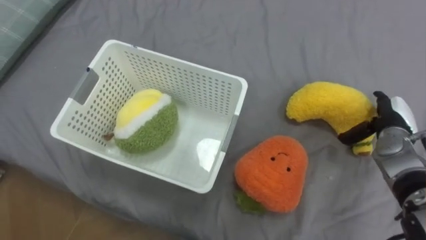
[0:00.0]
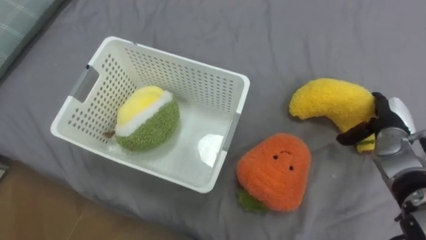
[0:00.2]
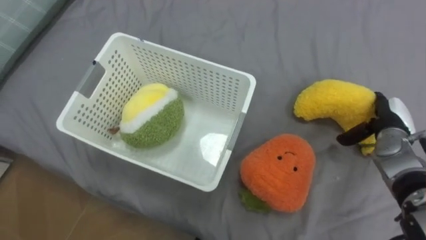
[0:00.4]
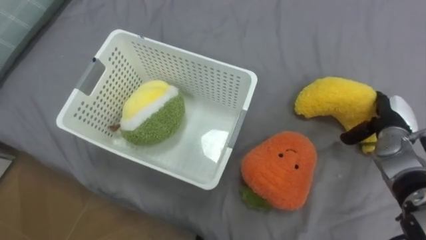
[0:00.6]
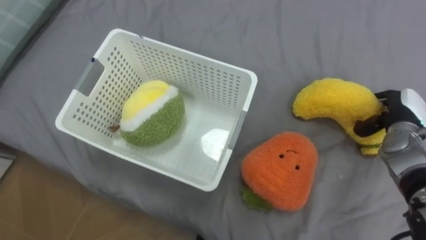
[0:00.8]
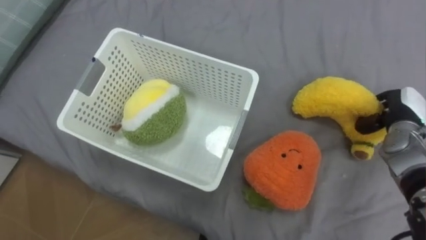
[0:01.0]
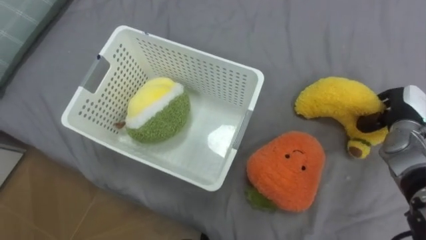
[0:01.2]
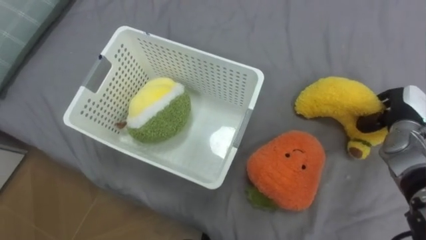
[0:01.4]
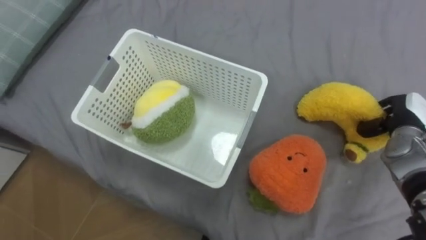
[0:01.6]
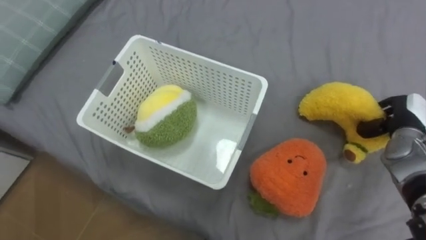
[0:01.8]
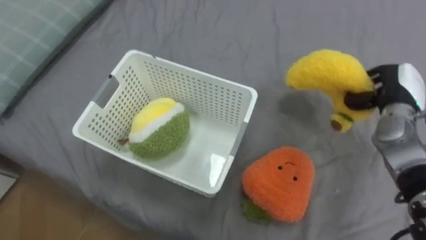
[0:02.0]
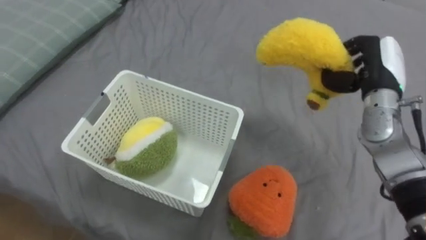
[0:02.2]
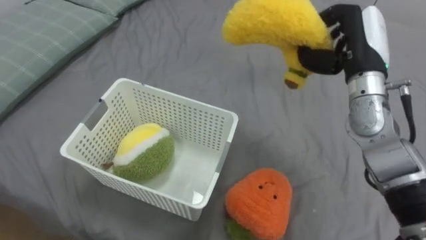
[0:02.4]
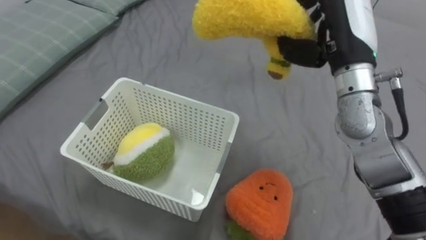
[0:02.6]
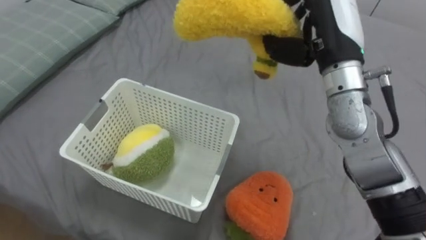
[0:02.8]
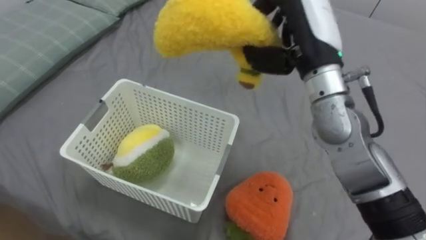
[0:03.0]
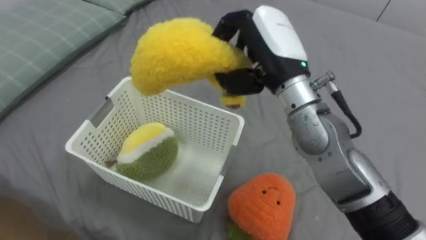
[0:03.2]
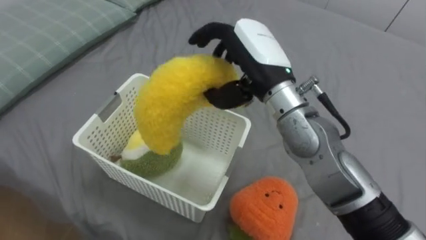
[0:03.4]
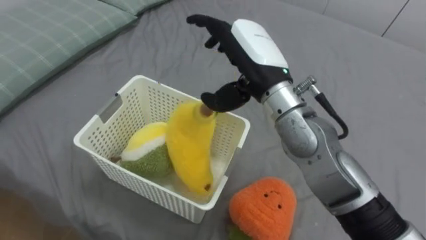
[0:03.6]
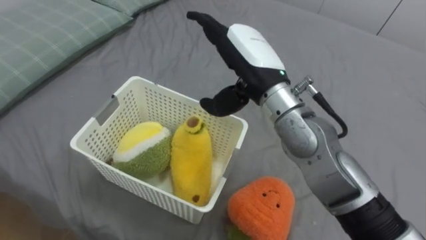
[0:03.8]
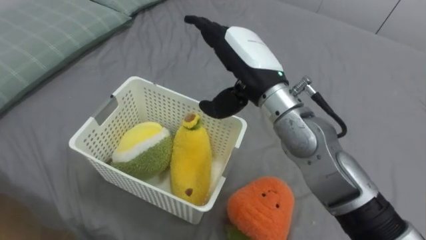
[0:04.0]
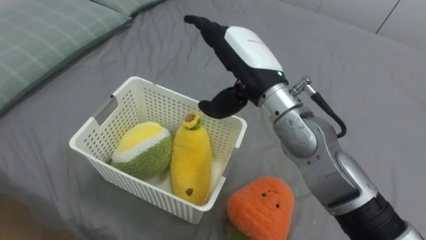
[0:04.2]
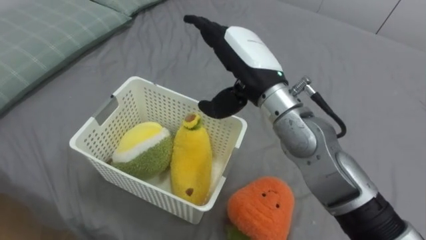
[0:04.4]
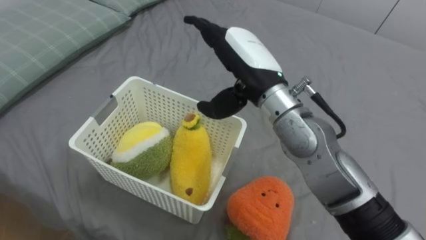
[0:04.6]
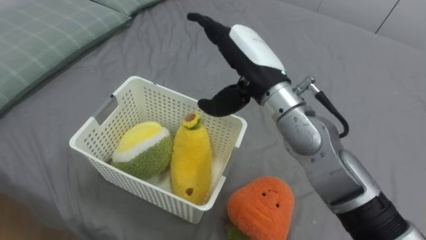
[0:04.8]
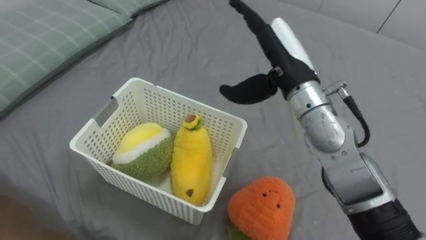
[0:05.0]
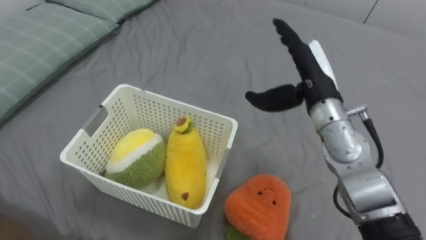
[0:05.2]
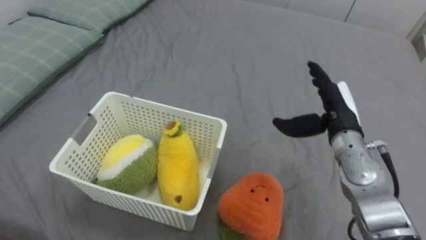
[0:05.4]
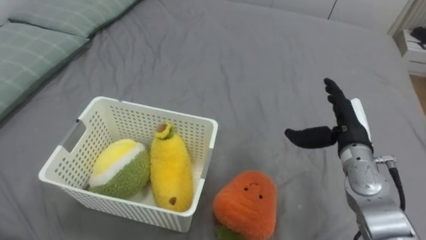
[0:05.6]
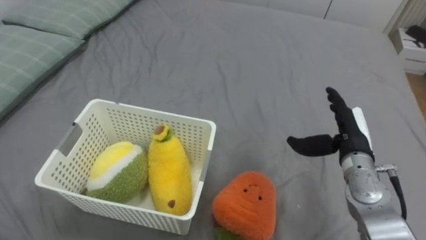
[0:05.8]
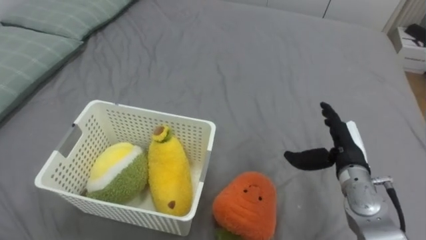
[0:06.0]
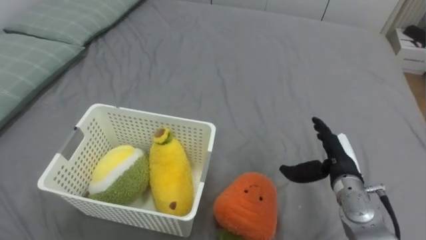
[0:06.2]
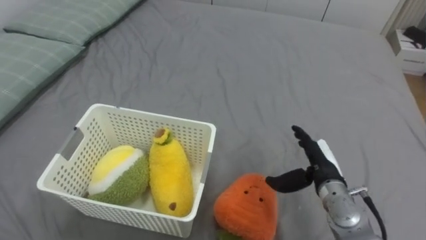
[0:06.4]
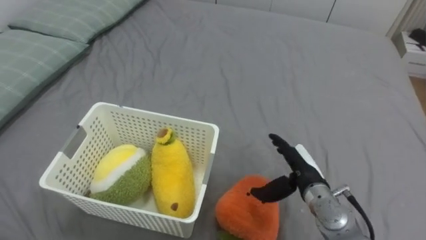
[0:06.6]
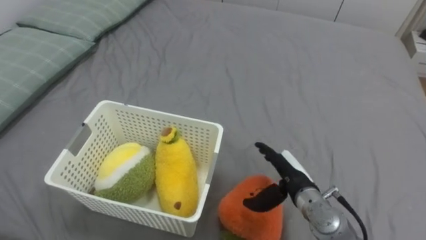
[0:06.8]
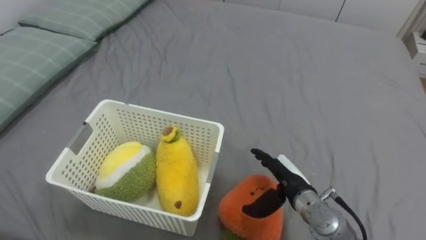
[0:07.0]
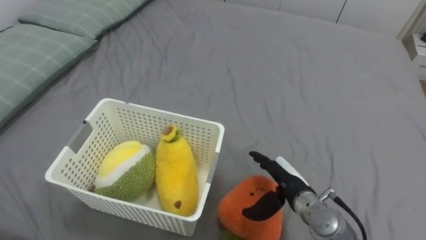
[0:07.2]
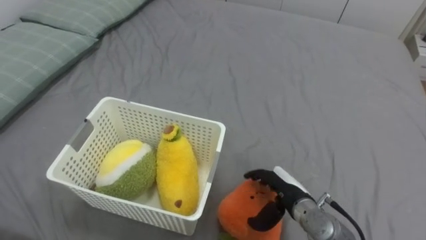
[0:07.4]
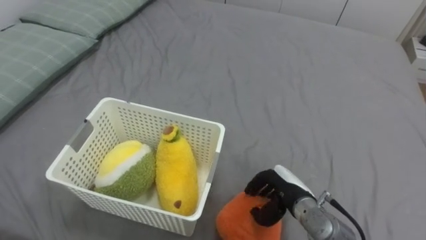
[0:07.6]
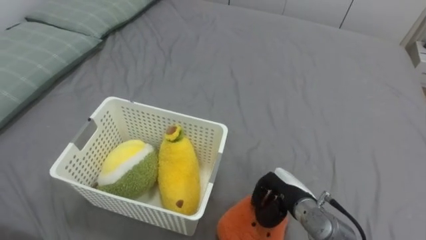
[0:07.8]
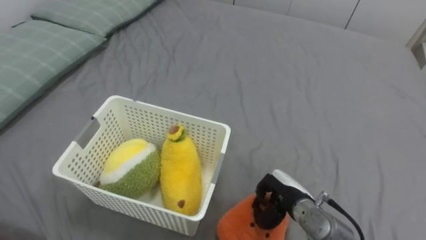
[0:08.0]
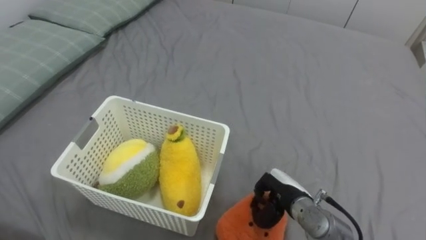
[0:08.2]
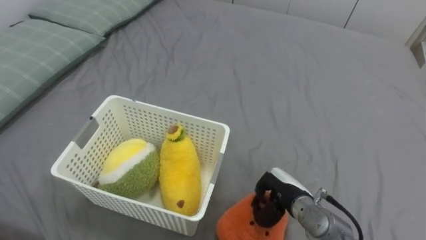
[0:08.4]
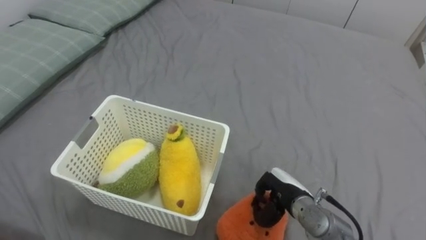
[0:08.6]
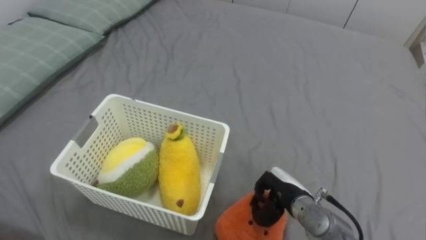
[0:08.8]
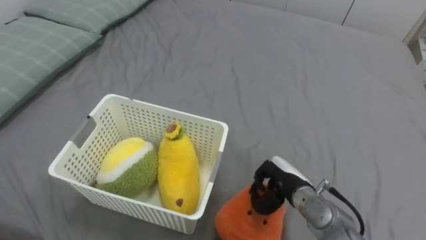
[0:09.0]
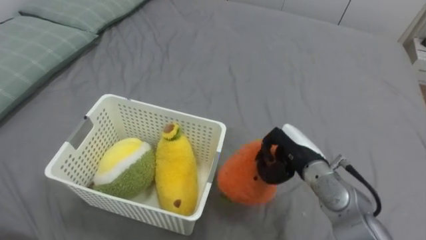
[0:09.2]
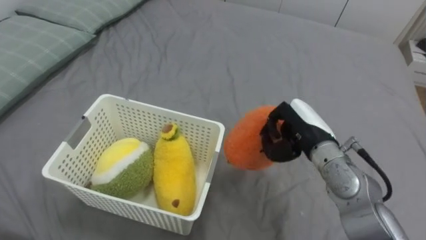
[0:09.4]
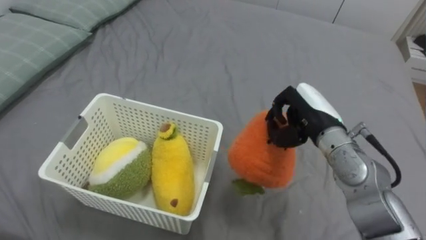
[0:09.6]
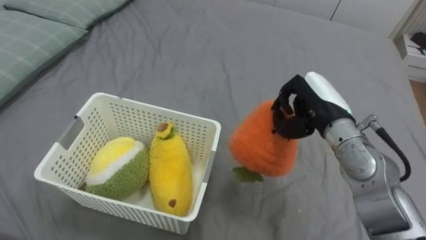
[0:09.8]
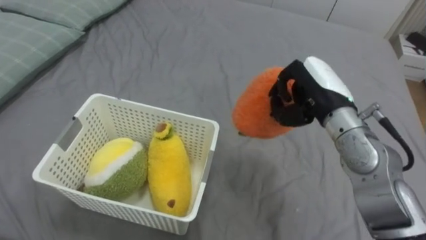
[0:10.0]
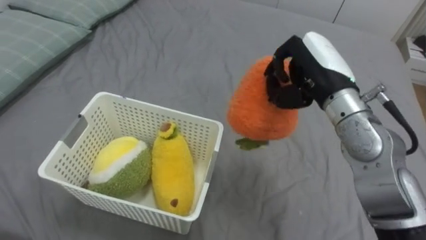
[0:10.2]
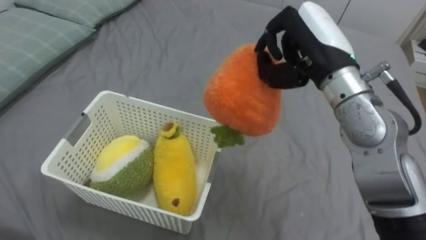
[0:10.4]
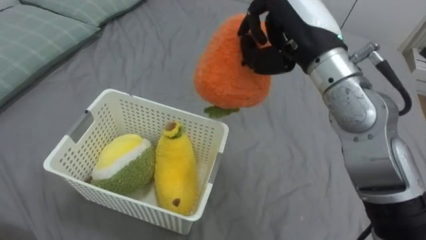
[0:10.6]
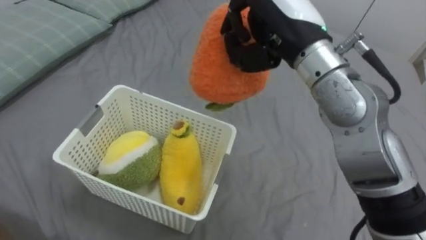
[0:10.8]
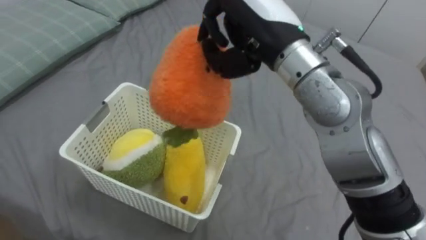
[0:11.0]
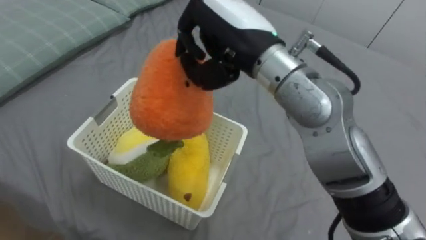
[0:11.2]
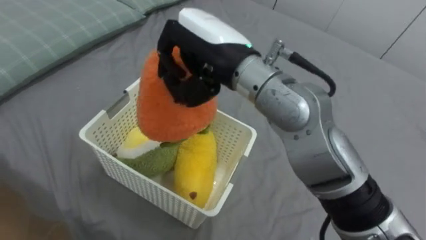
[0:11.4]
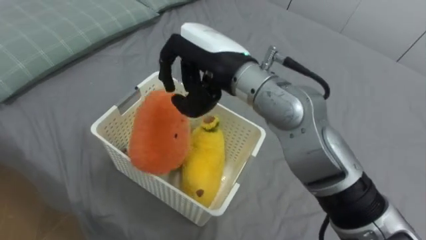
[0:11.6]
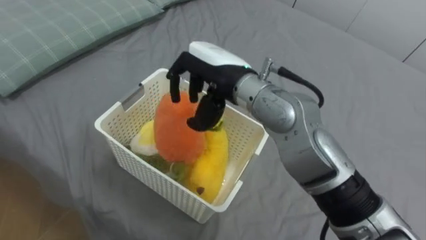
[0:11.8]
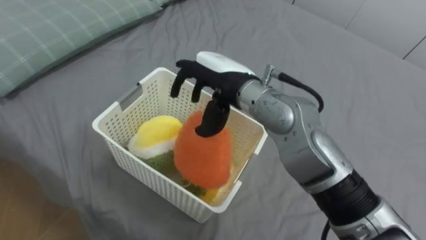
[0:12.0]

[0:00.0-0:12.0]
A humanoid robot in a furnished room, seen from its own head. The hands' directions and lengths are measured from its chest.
Task of the whole recording: Put the toys on the bed into the basket on the left.
0:00.0 to 0:01.6: The right hand closes.
0:01.6 to 0:03.0: The right hand moves to the left and upward, roughly 30 cm.
0:03.0 to 0:04.4: The right hand goes roughly 10 cm to the left, and opens its fingers.
0:04.4 to 0:06.0: The right hand shifts approximately 25 cm to the right and downward.
0:06.0 to 0:07.6: The right hand shifts approximately 15 cm to the left and downward, and closes.
0:07.6 to 0:09.0: The right hand closes up.
0:09.0 to 0:10.4: The right hand is displaced upward by about 30 cm.
0:10.4 to 0:12.0: The right hand travels to the left and downward by roughly 15 cm, and opens.

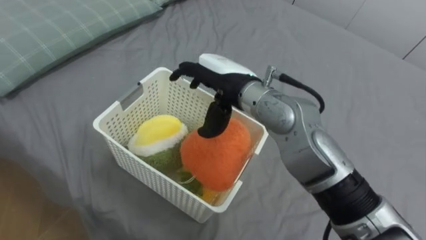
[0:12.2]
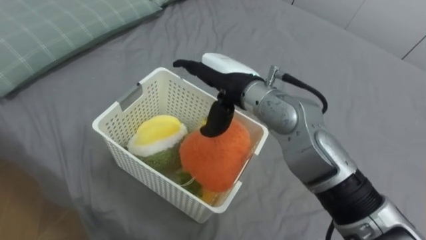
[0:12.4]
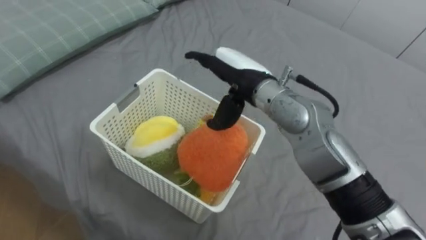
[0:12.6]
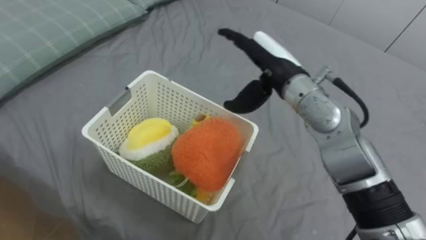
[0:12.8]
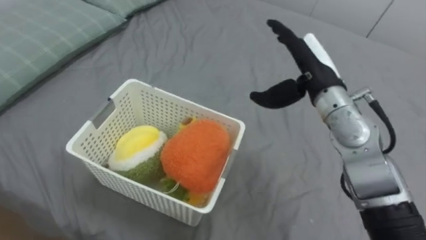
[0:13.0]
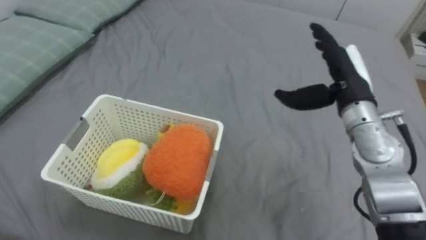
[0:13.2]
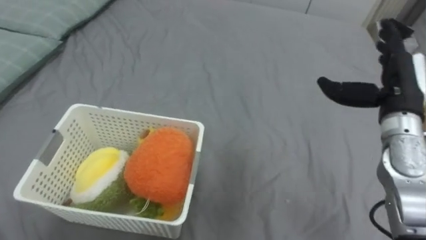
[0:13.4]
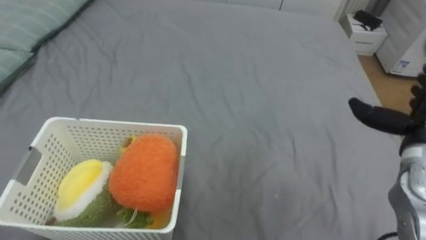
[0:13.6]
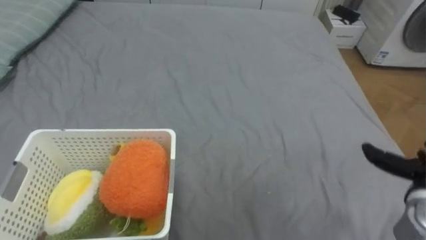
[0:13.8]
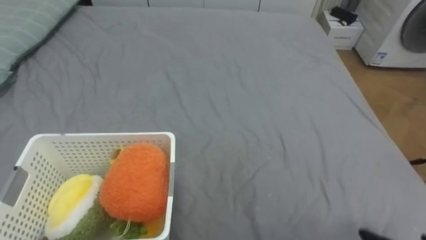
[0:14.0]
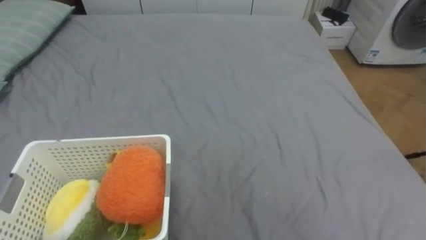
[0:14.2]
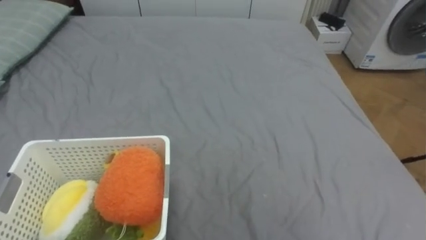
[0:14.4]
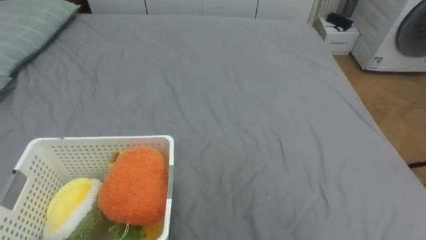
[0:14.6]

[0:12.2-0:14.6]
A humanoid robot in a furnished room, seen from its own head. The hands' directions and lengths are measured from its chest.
Task of the whole recording: Put the toys on the bed into the basket on the left.
0:12.2 to 0:13.4: The right hand travels to the right by about 30 cm.

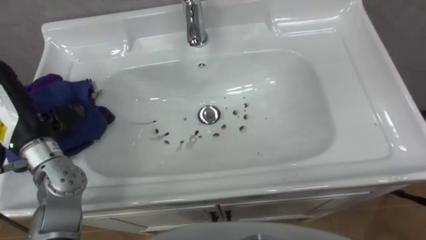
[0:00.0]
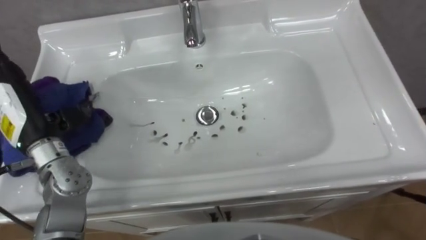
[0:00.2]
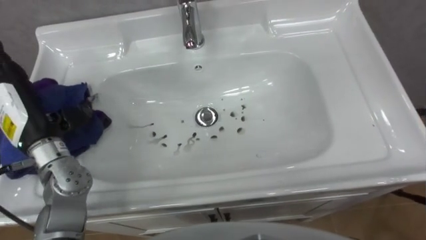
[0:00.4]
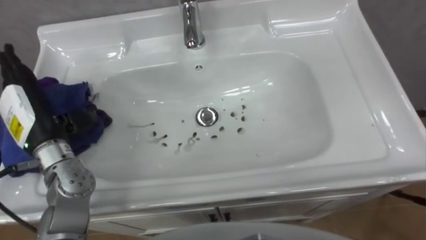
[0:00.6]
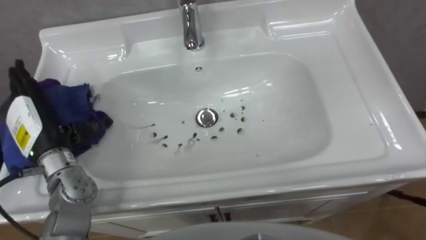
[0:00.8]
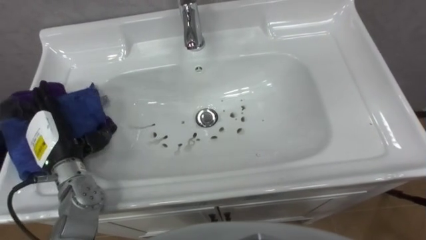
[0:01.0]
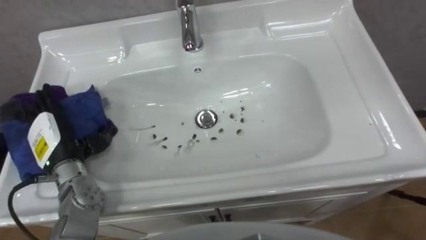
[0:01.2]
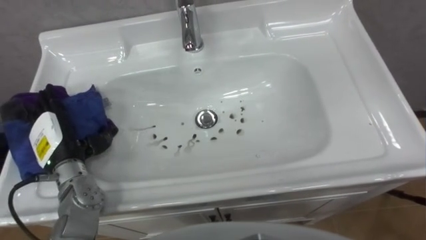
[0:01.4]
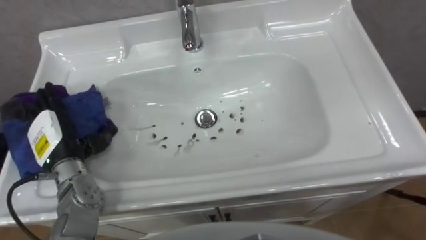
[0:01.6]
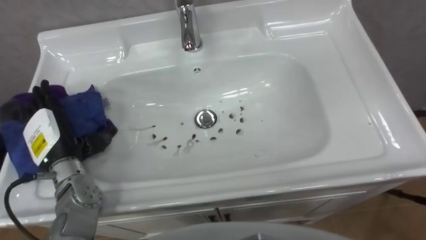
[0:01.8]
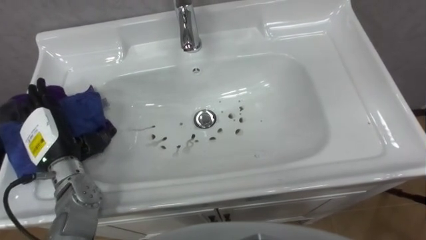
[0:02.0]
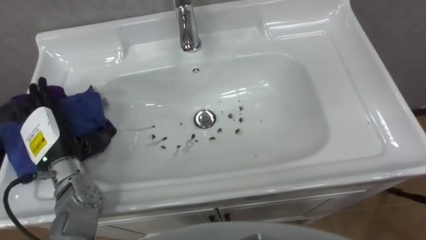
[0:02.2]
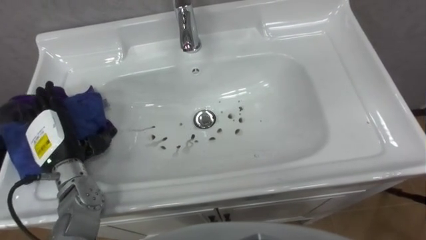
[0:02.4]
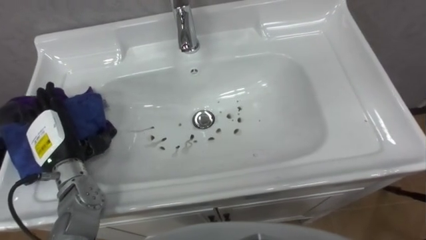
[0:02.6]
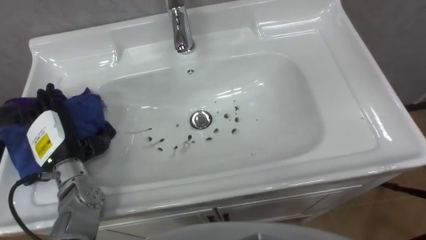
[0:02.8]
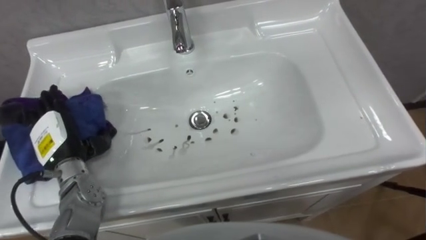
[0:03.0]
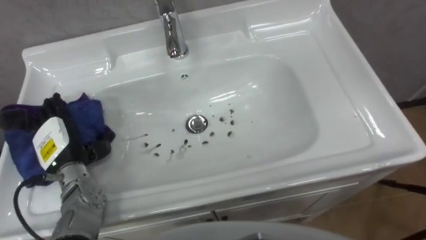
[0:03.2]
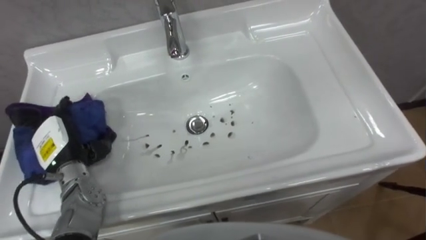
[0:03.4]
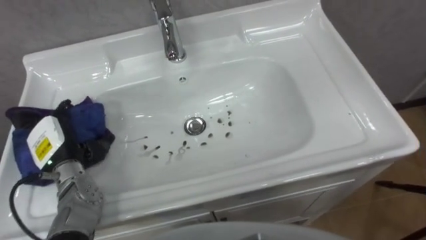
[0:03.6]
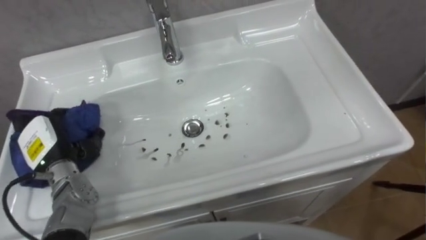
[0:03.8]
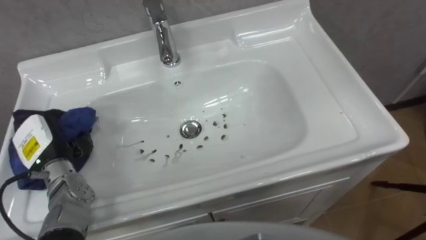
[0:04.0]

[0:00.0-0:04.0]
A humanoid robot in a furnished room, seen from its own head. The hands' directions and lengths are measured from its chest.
Task of the whole recording: Use the cloth on the right to wipe away the black stain in the sink.
0:00.0 to 0:01.4: The left hand heads downward, covering roughly 10 cm.
0:02.6 to 0:04.0: The left hand closes.
